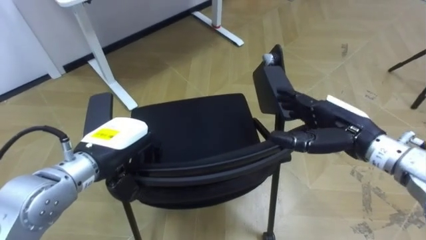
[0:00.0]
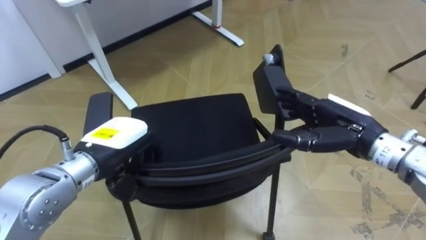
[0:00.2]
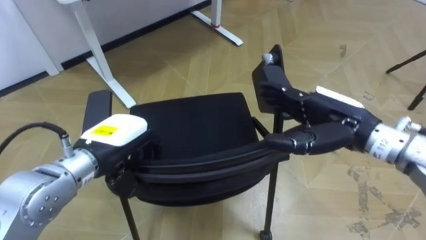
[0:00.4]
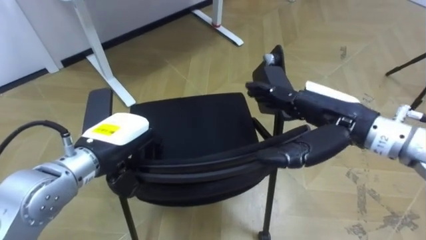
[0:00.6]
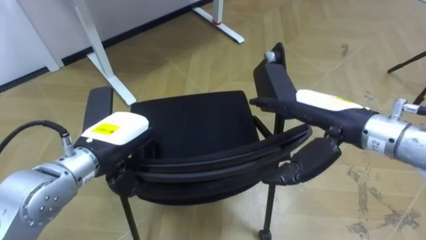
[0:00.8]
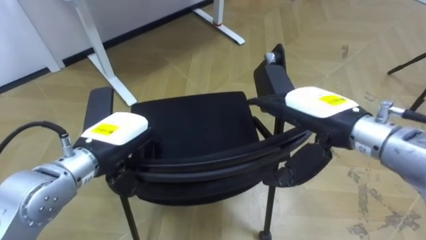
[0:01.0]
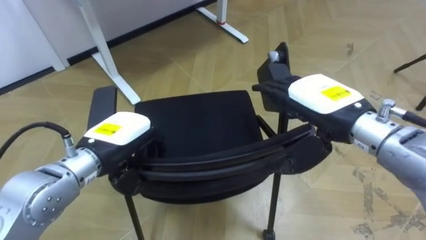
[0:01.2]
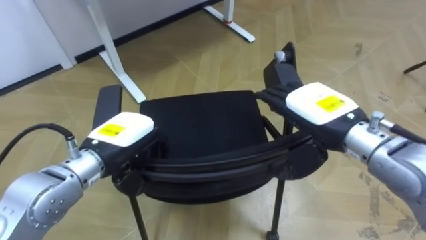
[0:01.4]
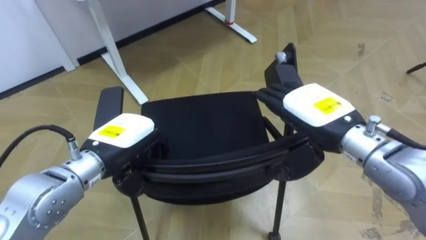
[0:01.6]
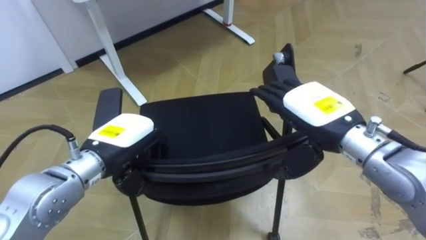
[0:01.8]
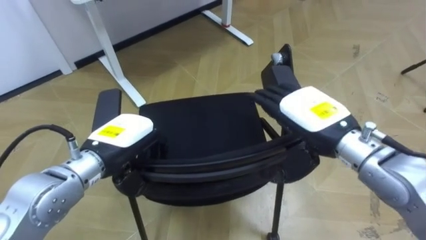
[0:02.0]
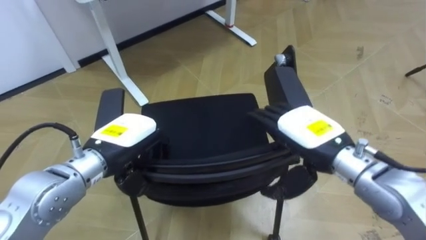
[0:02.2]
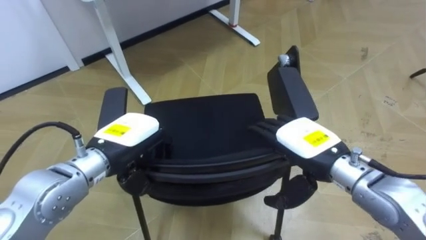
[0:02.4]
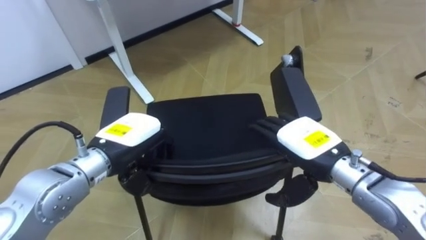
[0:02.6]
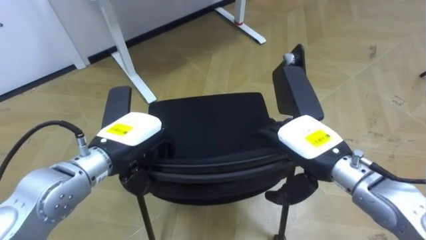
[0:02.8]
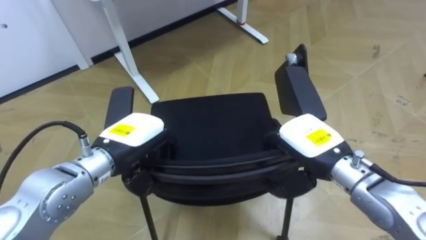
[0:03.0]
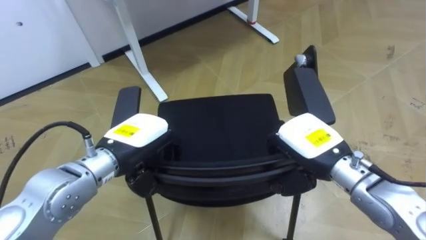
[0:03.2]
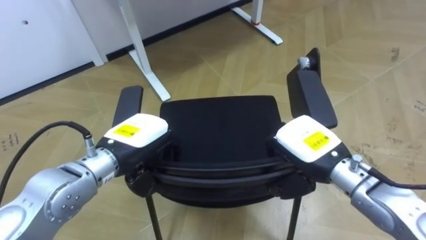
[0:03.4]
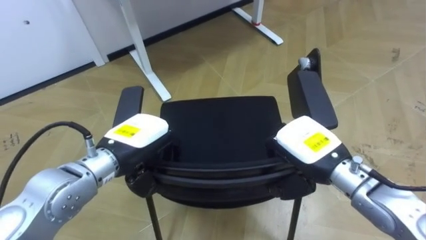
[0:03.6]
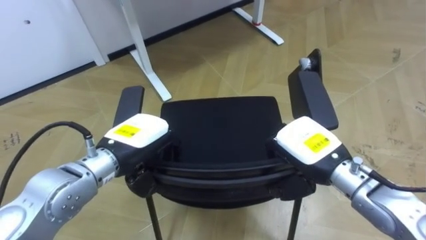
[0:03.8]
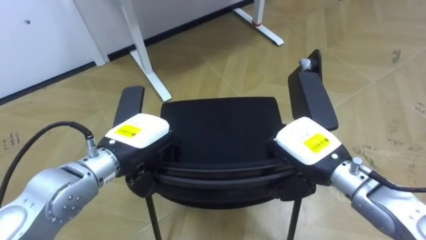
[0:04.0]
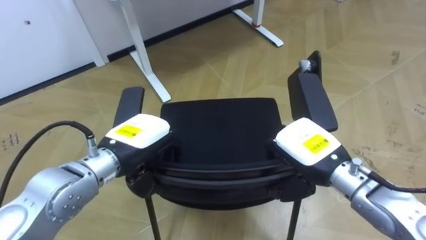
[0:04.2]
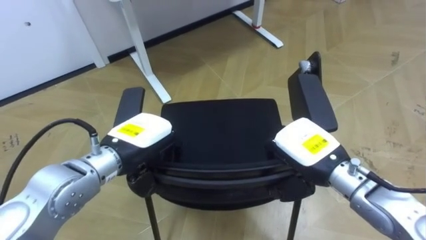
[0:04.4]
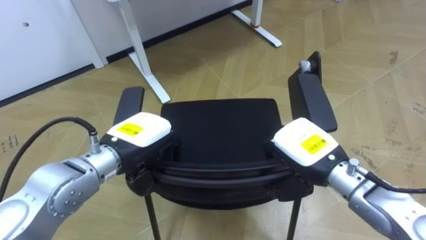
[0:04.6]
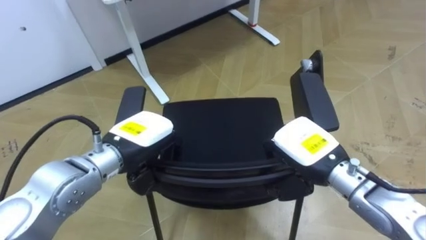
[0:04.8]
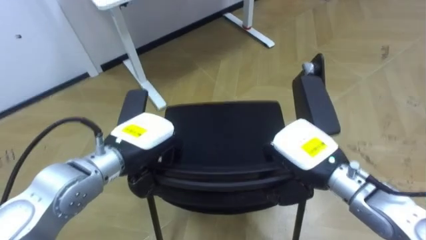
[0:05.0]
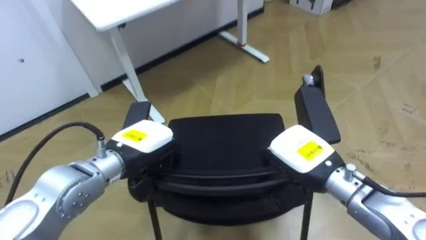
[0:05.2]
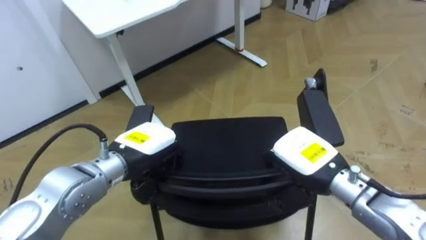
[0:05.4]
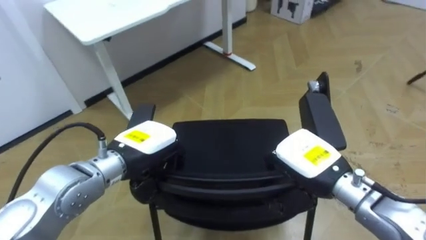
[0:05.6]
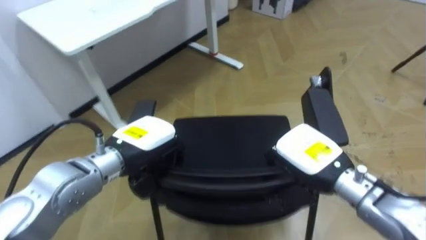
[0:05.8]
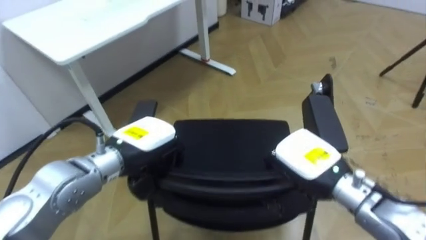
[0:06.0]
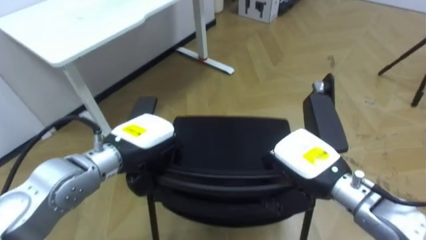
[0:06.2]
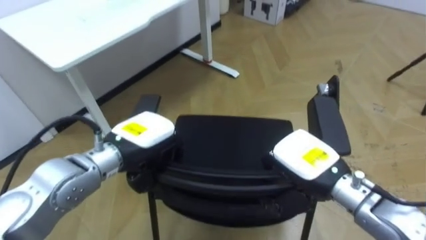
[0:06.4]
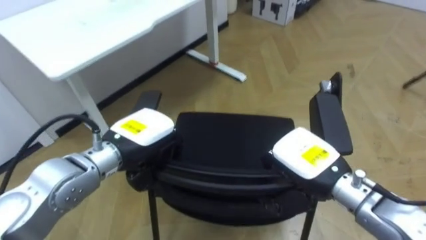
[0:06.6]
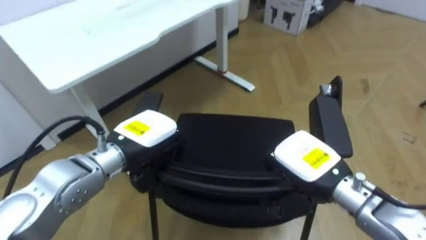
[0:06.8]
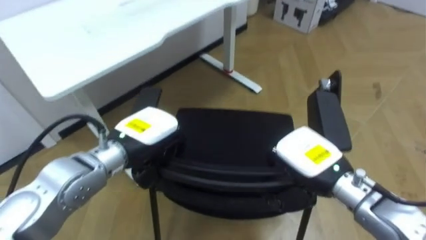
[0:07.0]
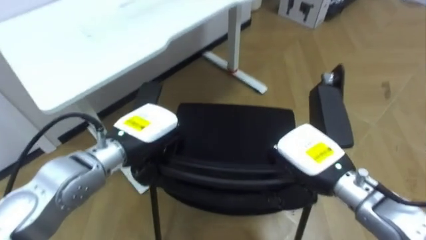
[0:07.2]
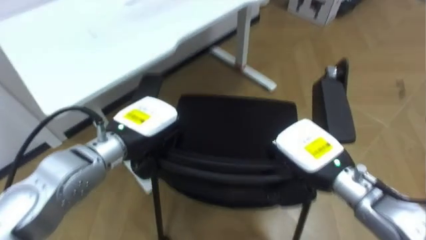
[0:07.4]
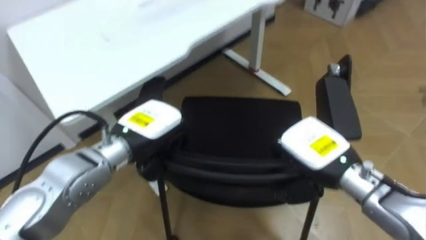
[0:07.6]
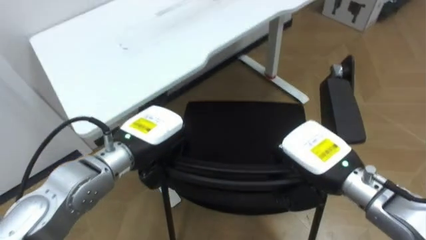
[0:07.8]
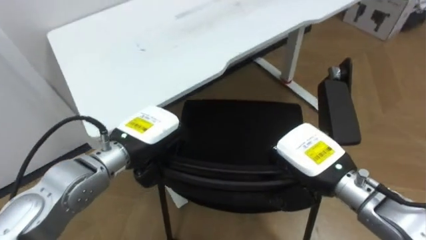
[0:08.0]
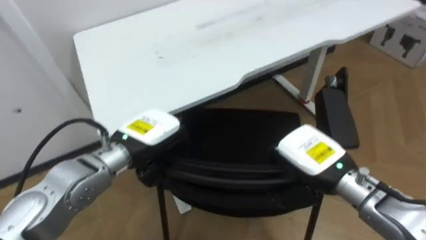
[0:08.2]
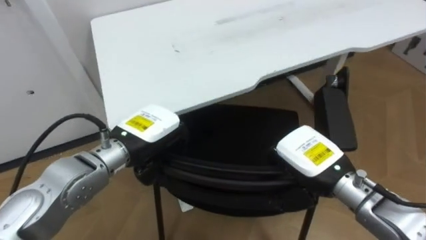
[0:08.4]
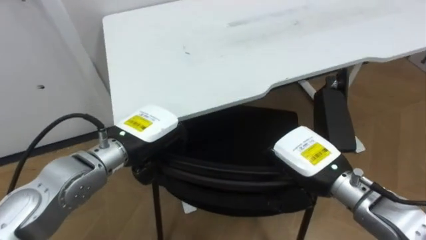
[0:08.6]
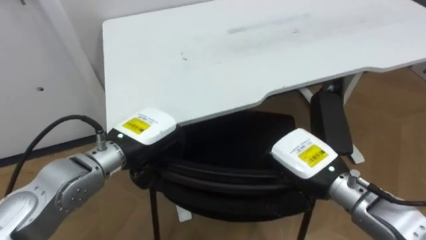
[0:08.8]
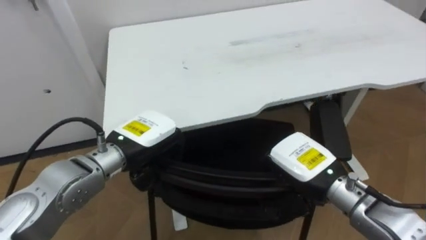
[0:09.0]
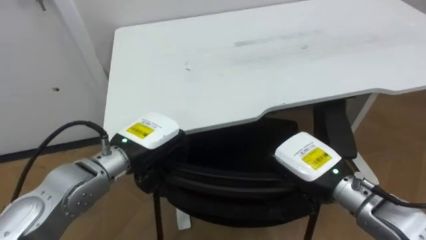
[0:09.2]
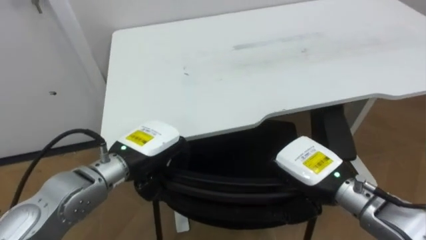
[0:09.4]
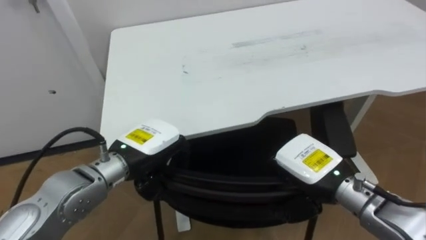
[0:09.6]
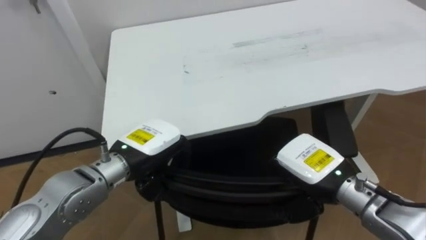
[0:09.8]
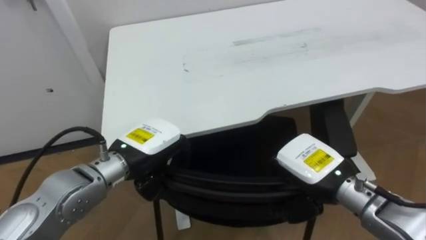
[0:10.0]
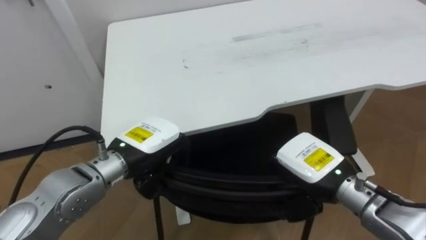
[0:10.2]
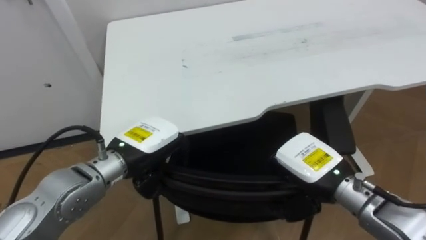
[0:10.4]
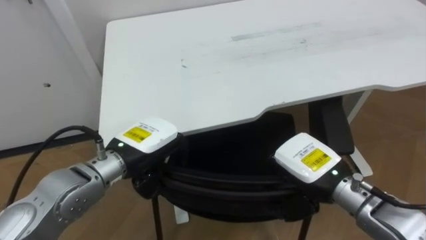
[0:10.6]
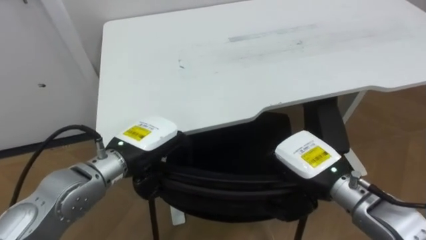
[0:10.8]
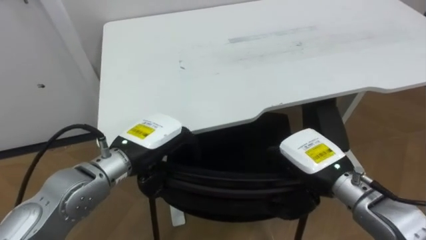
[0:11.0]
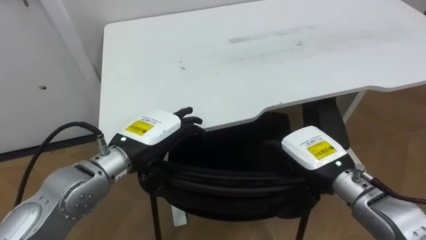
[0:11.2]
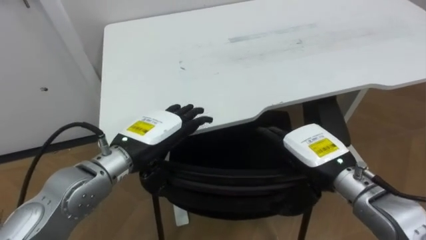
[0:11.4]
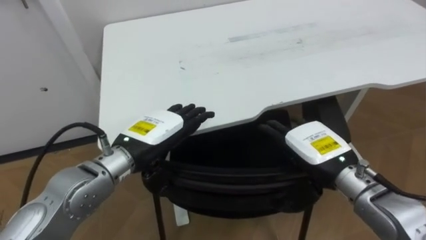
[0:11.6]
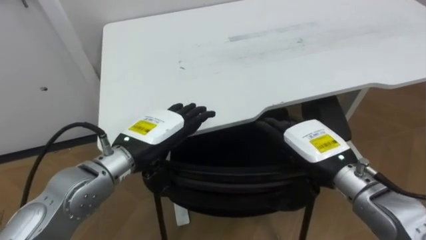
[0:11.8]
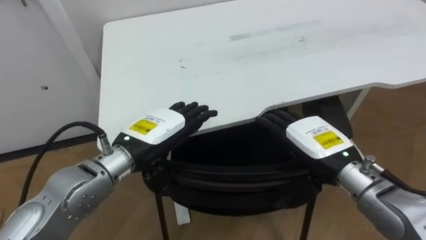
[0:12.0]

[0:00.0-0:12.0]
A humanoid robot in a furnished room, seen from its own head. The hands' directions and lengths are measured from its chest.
Task of the whole recording: Push the chair under the table.
0:00.0 to 0:01.6: The right hand goes roughly 5 cm to the left.
0:01.6 to 0:03.0: The right hand heads downward, covering some 5 cm, and closes.
0:07.6 to 0:09.0: The robot faces approximately 20 degrees further to its left.
0:10.4 to 0:12.0: The left hand opens. Meanwhile the right hand opens up.

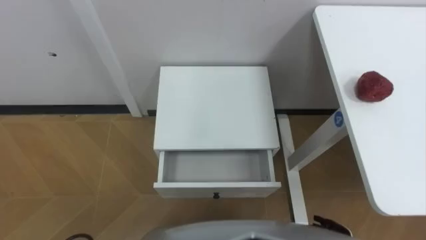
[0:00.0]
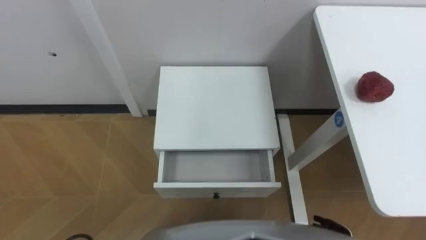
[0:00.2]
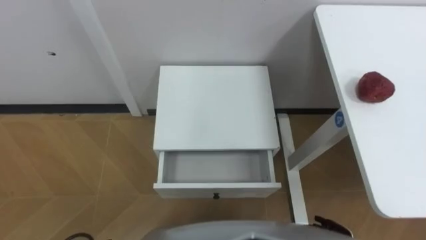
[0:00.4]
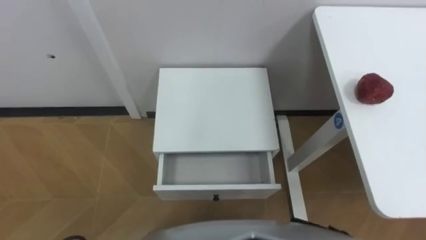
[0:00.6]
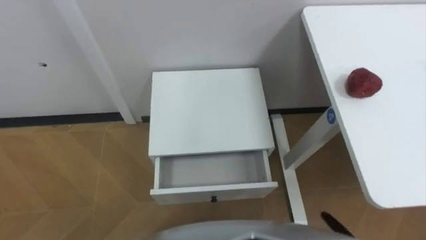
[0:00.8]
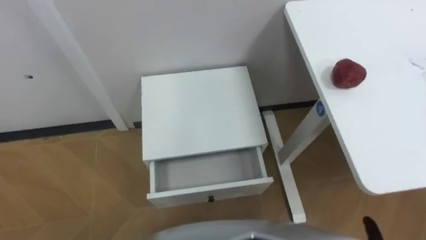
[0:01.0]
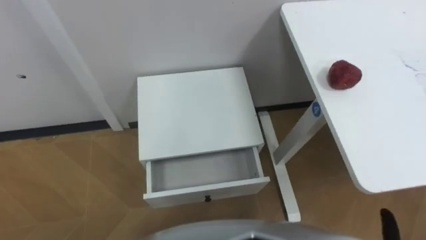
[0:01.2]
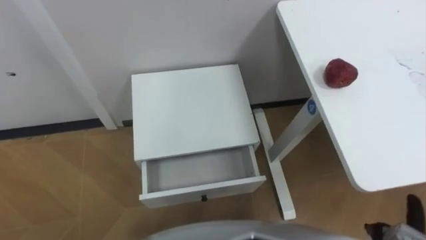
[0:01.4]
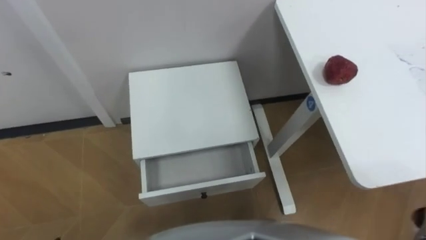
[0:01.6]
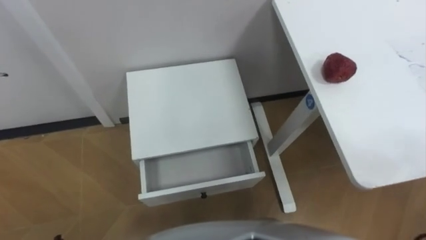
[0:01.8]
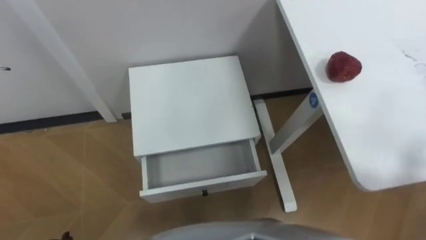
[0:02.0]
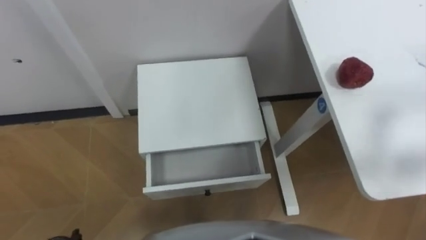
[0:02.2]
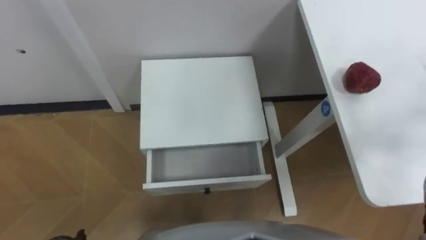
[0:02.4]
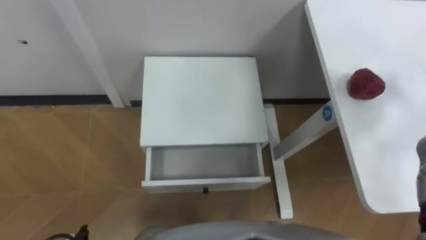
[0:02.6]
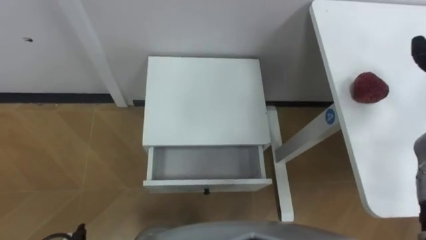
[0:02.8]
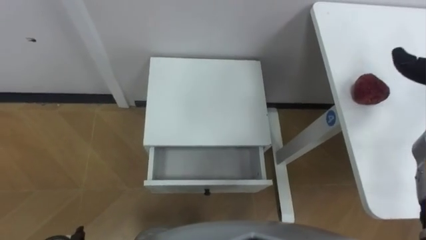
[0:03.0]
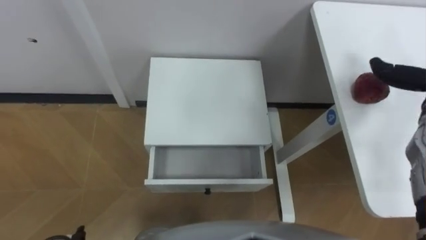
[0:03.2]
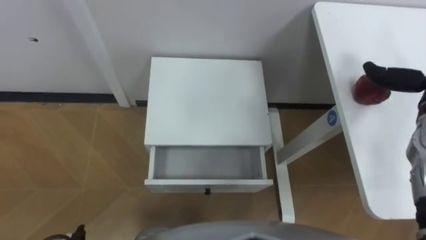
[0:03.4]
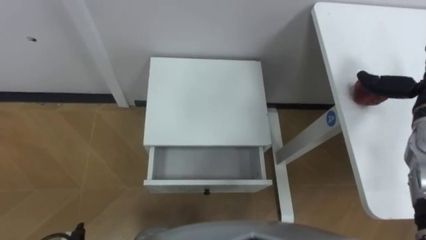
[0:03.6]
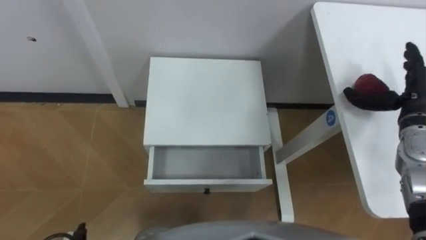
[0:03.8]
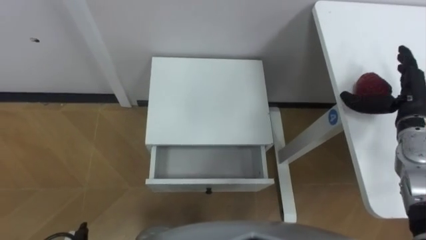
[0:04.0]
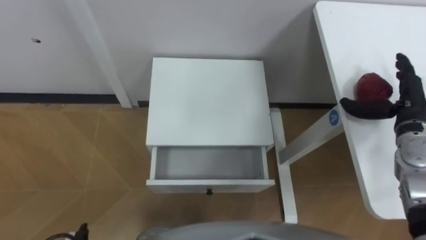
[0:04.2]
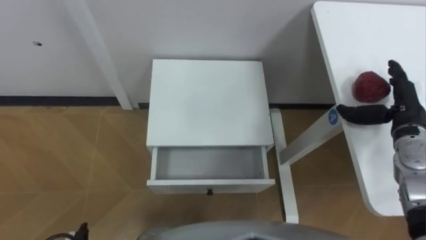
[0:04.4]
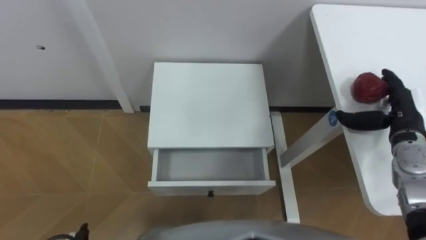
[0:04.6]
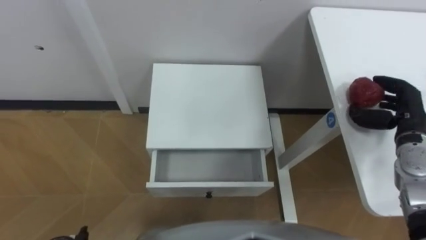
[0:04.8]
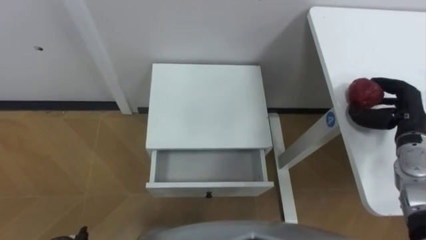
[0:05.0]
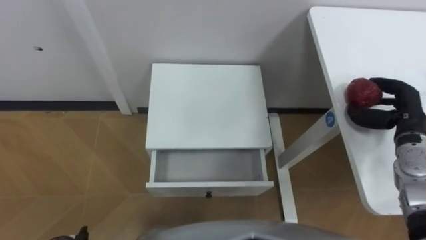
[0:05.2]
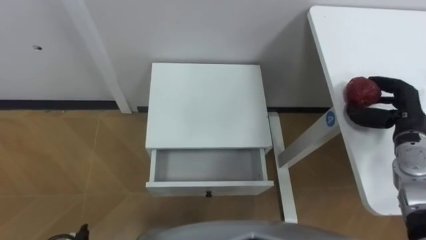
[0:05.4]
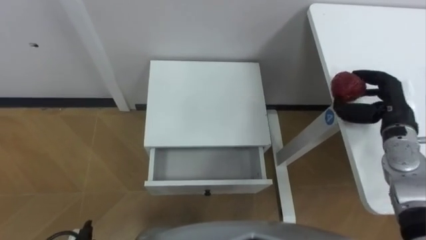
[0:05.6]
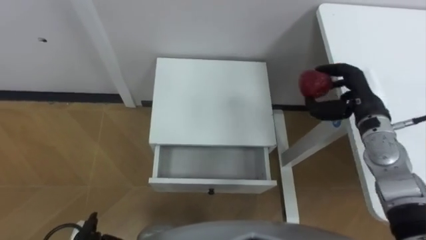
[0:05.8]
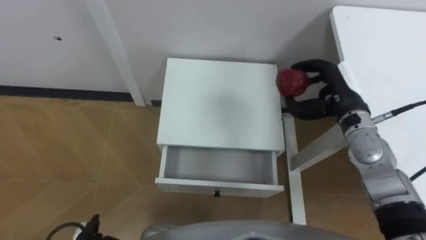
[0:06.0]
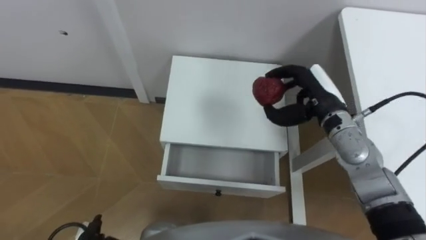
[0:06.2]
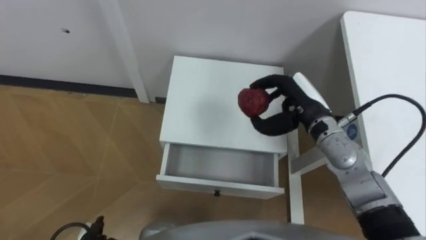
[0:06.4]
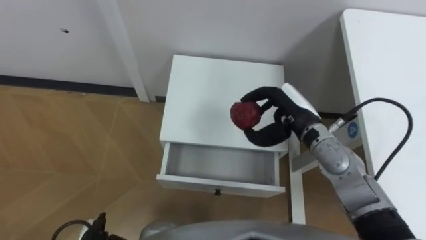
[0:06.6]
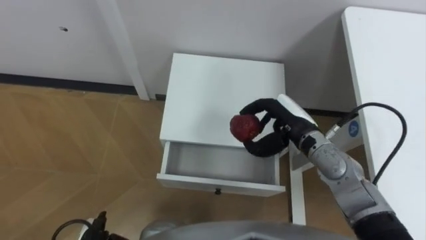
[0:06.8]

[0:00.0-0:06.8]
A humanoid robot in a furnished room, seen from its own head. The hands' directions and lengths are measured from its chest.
Task of the whole recording: Pick up the apple from the table, put it in the drawer, and close the drawer with leg.
0:04.0 to 0:05.4: The right hand closes.
0:05.4 to 0:06.8: The right hand moves to the left, roughly 20 cm.
